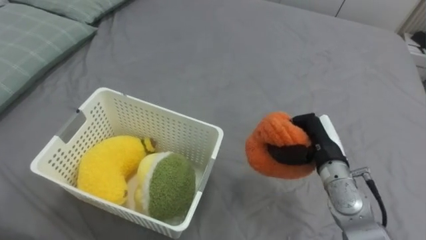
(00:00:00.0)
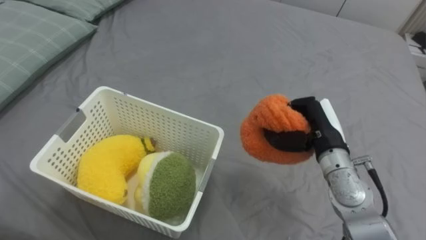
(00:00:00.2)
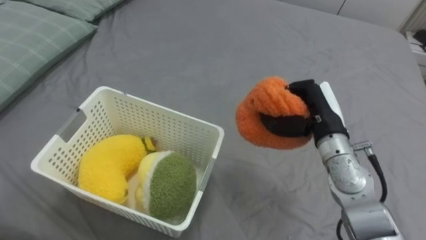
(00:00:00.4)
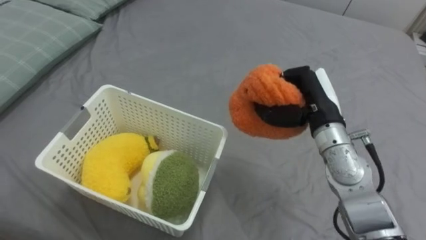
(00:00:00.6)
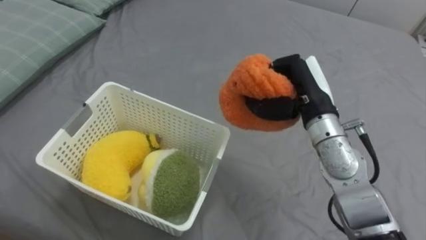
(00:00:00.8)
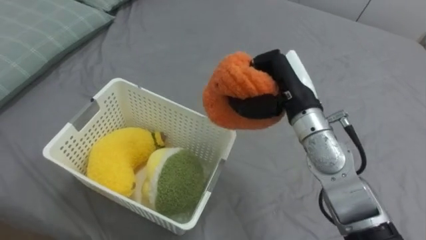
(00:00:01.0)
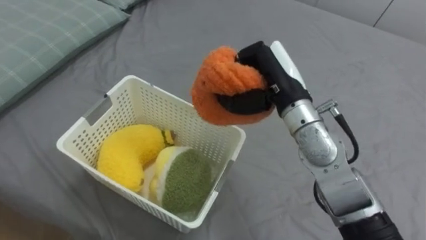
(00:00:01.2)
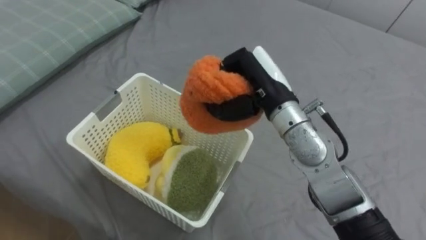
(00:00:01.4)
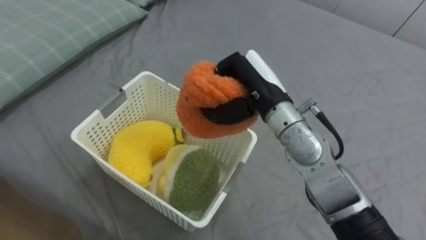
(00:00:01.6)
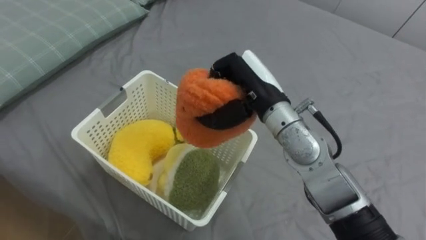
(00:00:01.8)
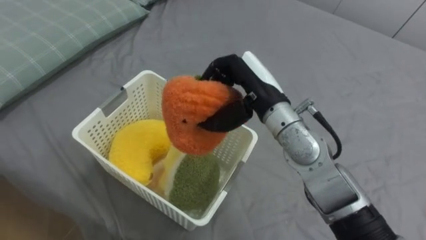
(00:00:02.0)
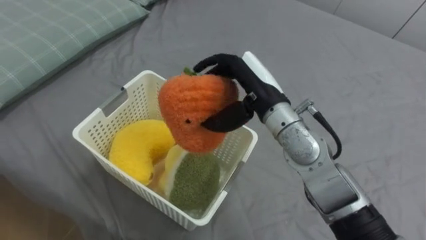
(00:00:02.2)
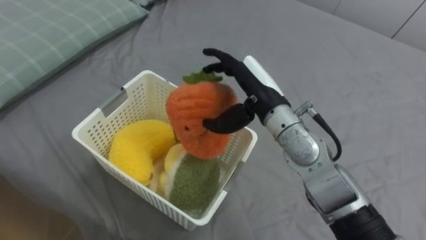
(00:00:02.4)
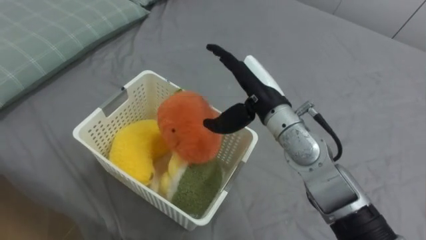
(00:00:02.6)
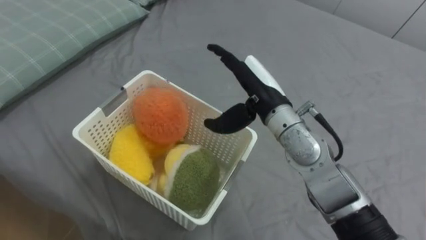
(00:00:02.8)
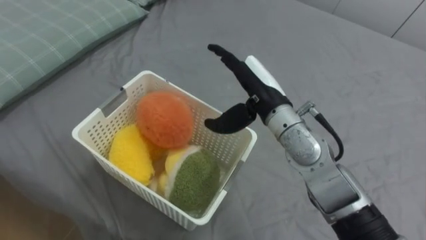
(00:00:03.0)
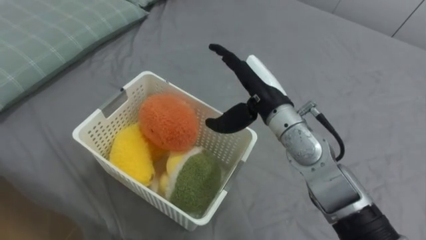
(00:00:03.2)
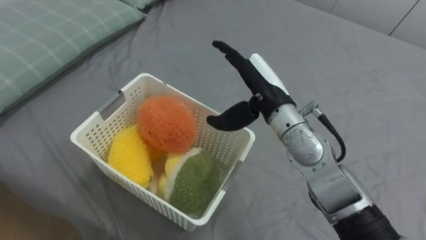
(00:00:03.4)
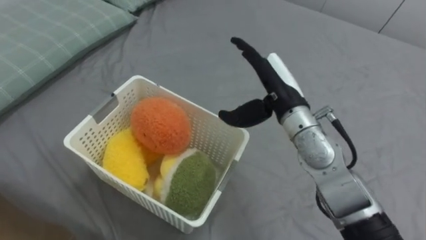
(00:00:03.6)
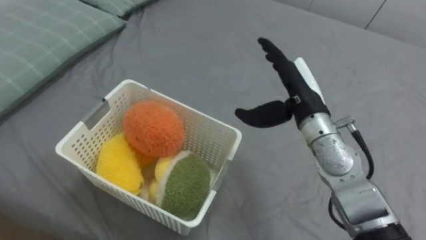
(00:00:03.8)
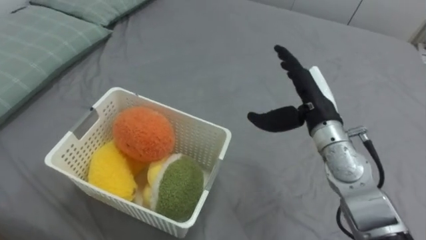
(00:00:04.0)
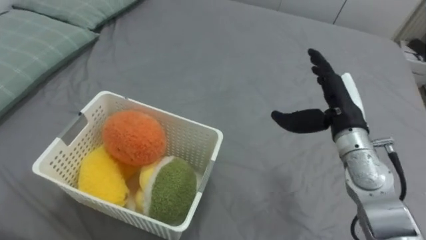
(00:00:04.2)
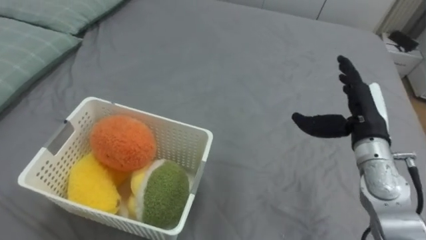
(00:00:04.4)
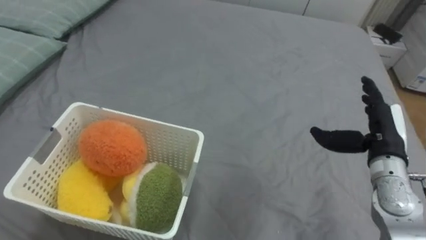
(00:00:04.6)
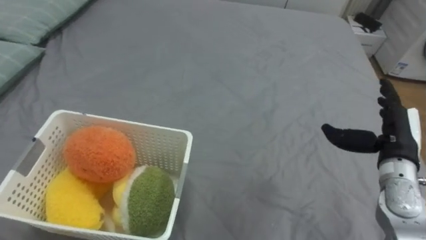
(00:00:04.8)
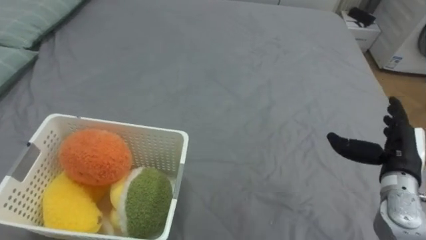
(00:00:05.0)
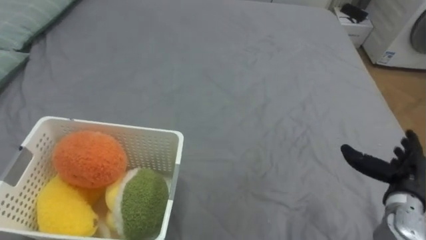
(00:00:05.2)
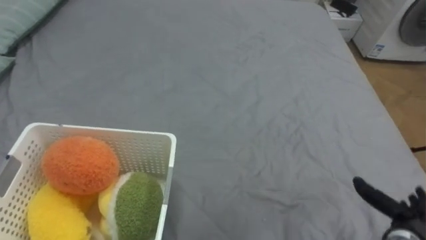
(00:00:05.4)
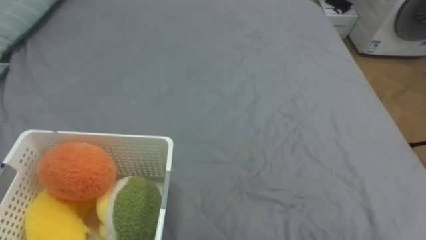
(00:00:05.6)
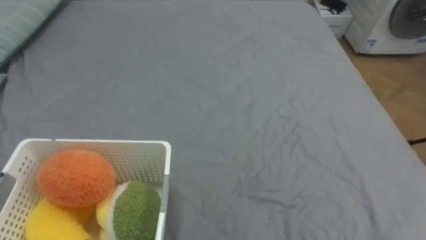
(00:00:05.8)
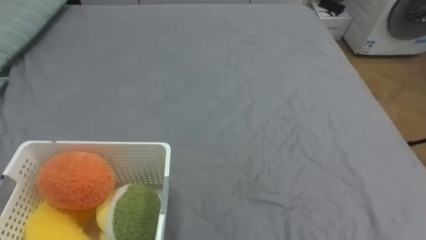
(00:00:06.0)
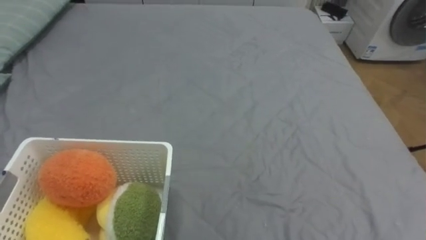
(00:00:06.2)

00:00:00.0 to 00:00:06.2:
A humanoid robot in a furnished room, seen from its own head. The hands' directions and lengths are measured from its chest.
Task of the whole recording: Put the toys on the bed into the basket on the left.
00:00:00.0 to 00:00:01.6: The right hand travels to the left and upward by some 20 cm.
00:00:01.6 to 00:00:03.2: The right hand opens its fingers.
00:00:03.2 to 00:00:04.6: The right hand goes approximately 20 cm to the right.

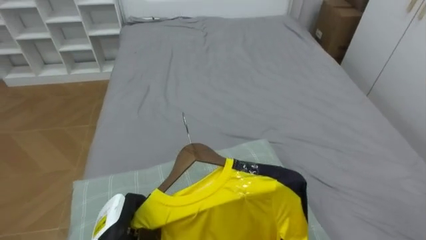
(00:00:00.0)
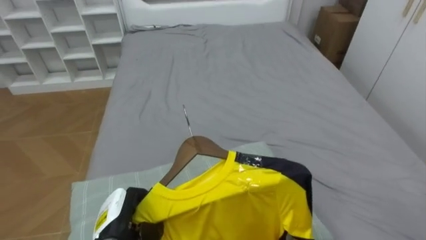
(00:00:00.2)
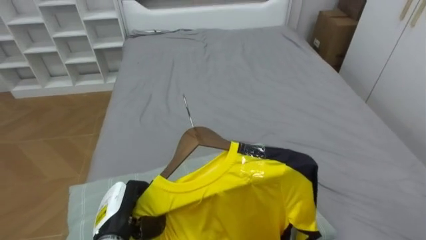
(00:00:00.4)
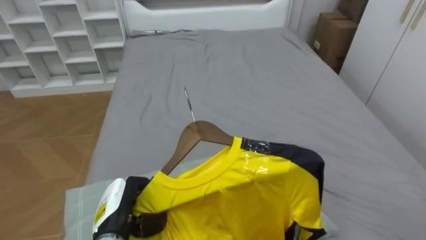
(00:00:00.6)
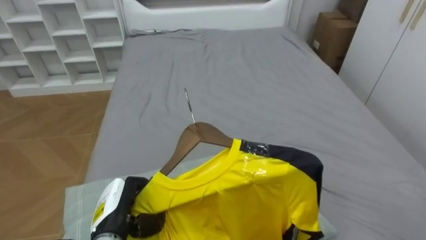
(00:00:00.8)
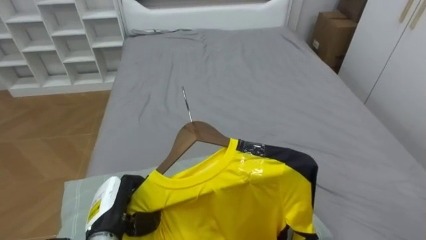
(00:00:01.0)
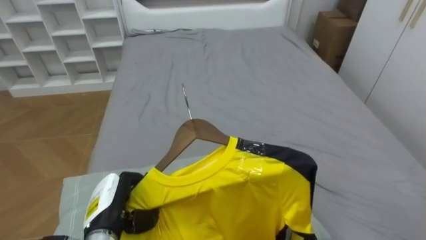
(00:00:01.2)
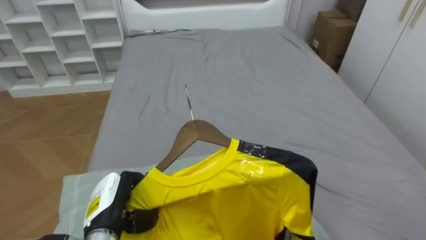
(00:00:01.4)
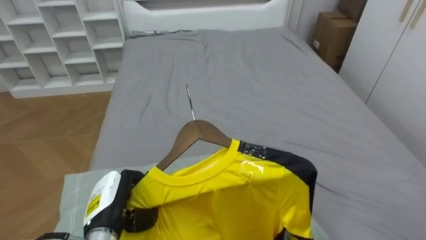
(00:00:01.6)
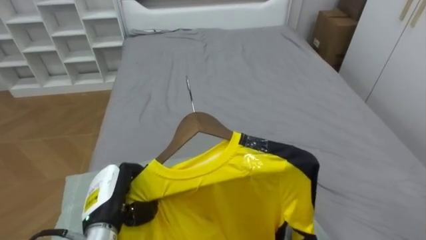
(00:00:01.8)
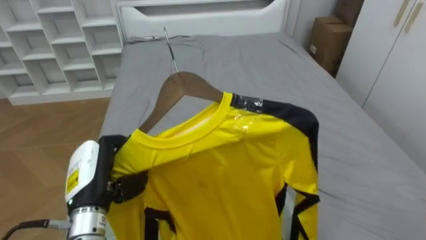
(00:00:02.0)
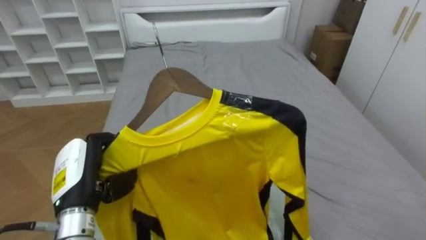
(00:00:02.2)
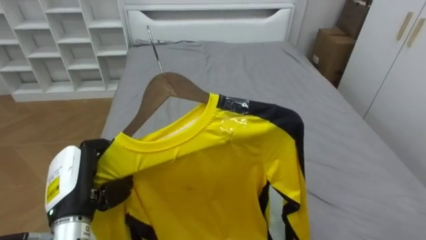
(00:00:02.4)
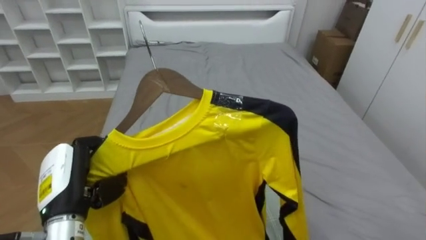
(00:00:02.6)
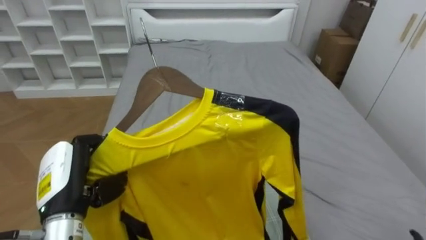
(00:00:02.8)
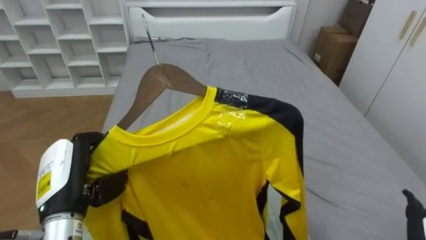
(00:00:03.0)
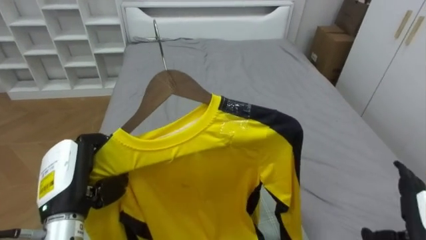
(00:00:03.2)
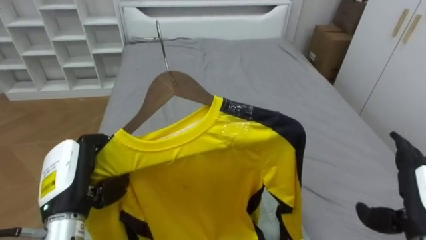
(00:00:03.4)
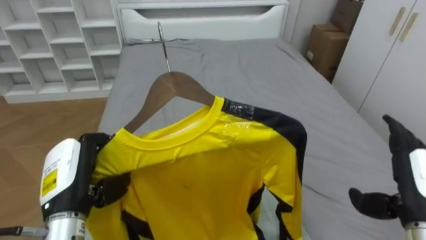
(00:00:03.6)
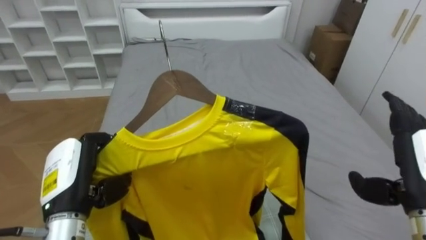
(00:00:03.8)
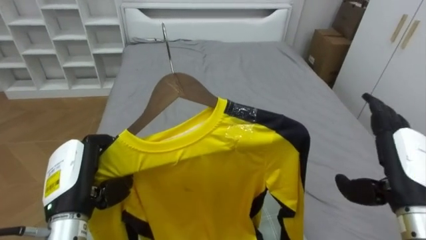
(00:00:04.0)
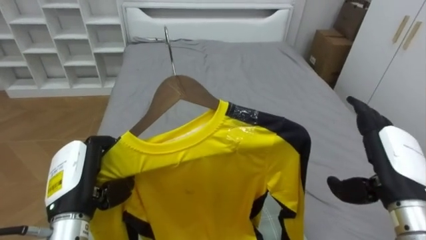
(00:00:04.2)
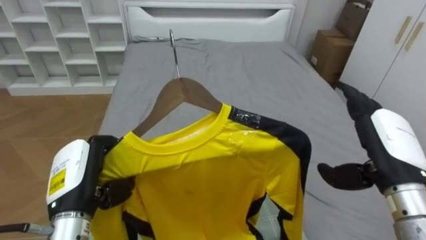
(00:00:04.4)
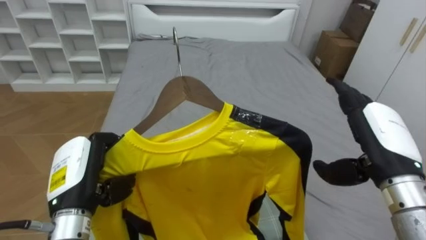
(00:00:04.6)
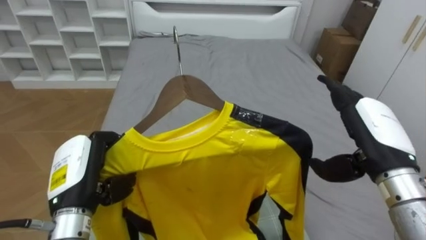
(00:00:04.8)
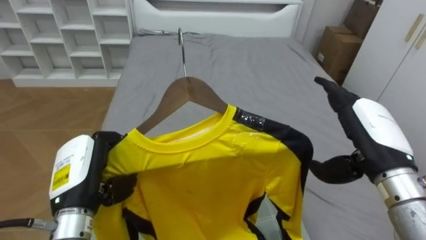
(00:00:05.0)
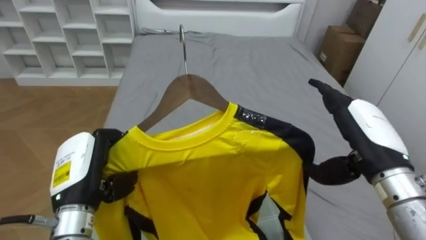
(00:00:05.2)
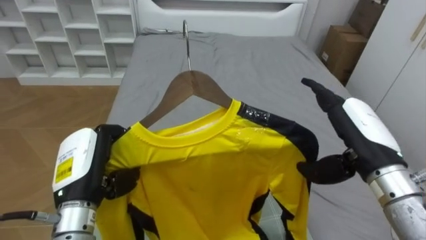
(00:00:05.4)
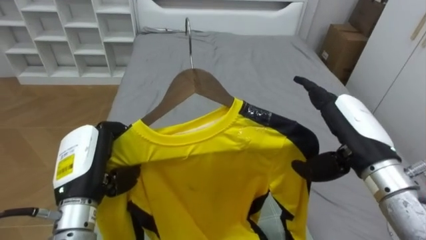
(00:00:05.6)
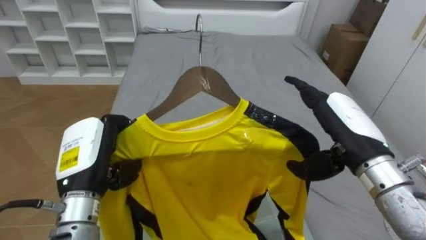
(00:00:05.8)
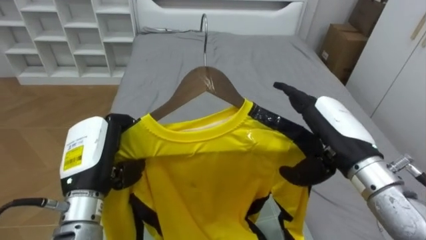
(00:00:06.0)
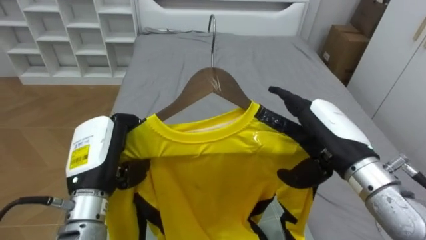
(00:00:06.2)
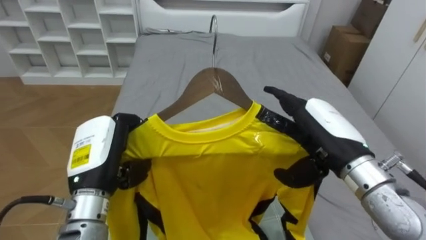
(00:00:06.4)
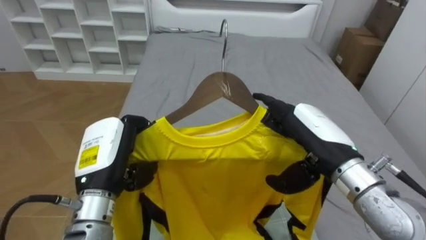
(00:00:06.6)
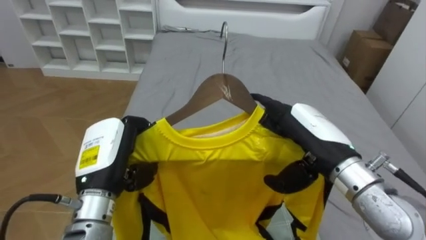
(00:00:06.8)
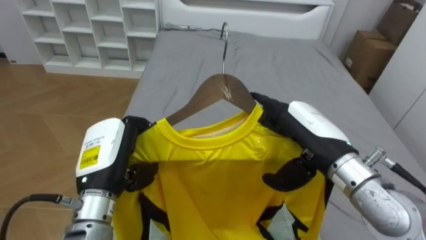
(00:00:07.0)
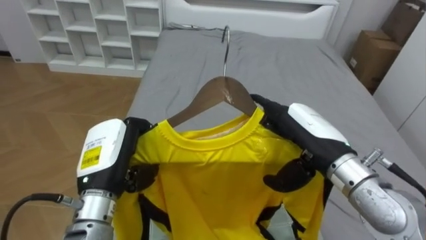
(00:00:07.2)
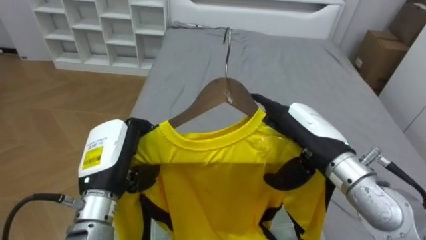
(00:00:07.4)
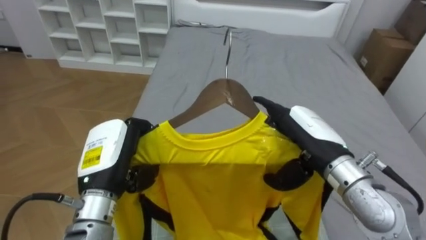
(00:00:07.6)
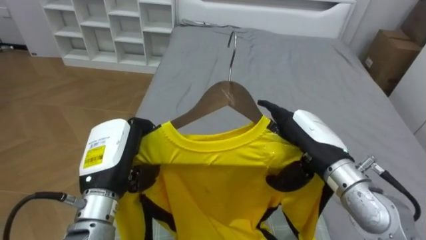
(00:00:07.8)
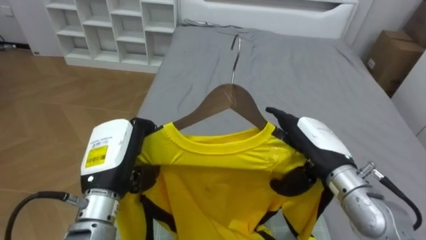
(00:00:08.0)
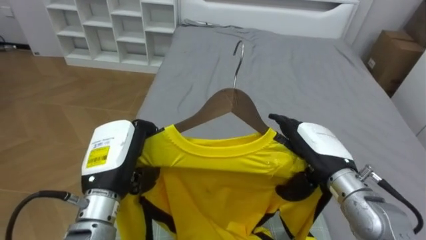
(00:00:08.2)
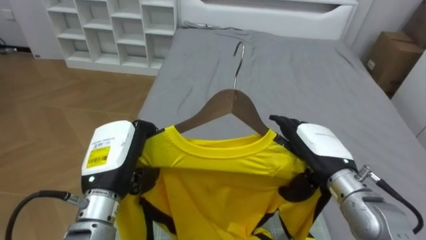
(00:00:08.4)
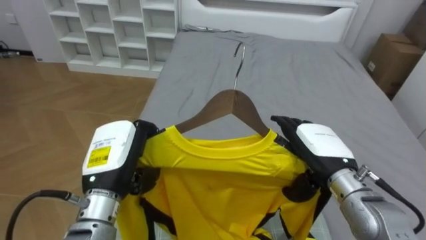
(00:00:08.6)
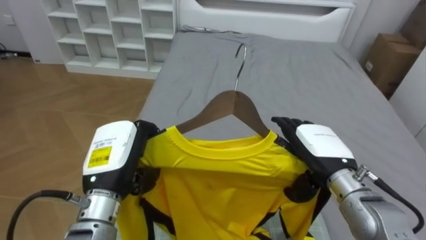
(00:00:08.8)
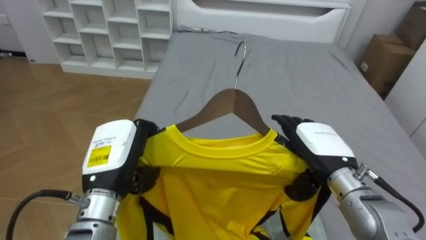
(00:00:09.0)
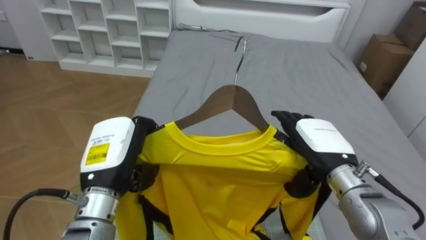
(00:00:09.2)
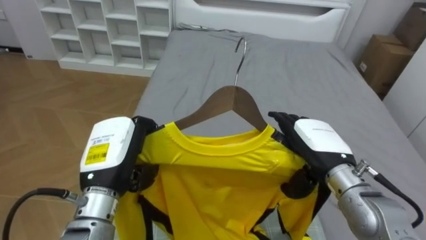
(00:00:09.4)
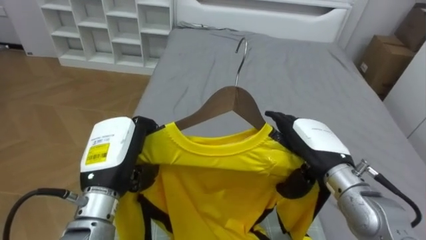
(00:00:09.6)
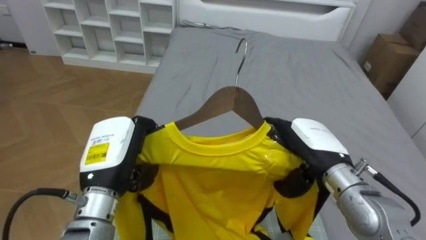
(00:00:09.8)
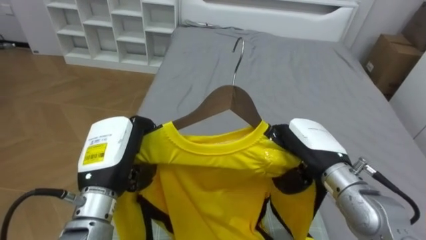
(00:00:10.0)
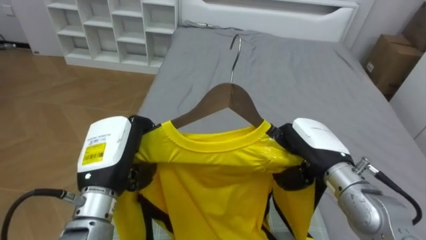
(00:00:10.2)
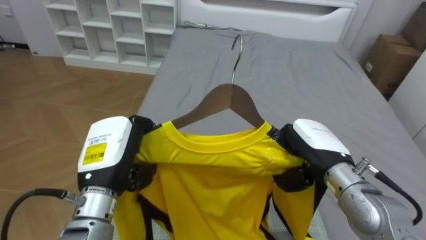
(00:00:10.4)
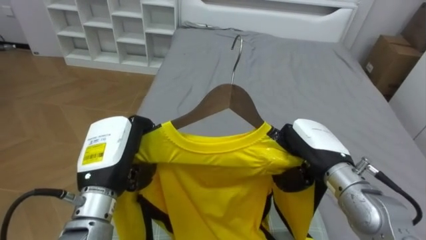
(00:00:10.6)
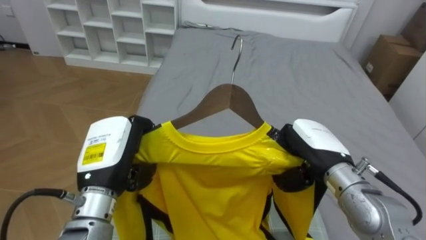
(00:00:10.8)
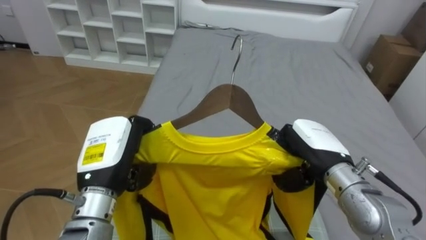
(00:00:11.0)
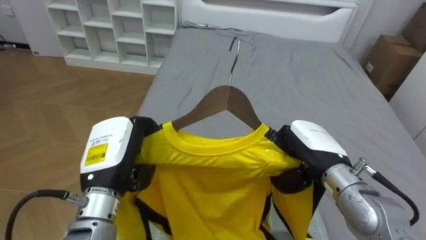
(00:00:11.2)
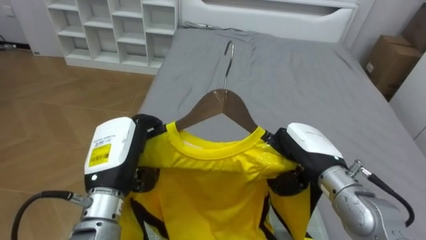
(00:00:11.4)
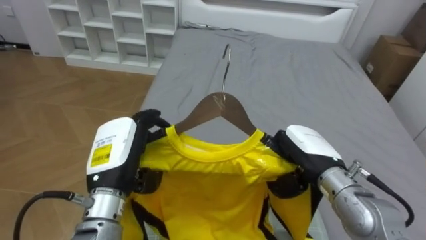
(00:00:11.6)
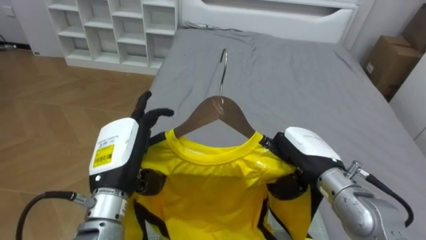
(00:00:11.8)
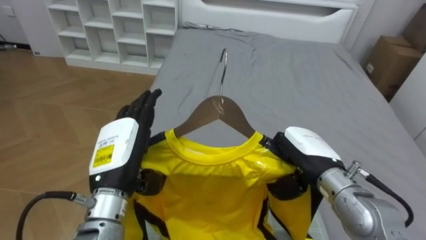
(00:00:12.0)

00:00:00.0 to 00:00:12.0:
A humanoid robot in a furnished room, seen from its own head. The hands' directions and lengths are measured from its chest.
Task of the whole recording: Pick up the yellow shirt on the bed and hang it on the clothes rack on the right.
00:00:00.0 to 00:00:01.6: The left hand shifts some 5 cm upward.
00:00:01.6 to 00:00:03.0: The left hand is displaced upward by some 10 cm.
00:00:04.4 to 00:00:06.0: The right hand travels to the left by about 5 cm.
00:00:07.6 to 00:00:09.0: The right hand shifts by about 5 cm.
00:00:09.0 to 00:00:10.4: The right hand closes.
00:00:10.4 to 00:00:12.0: The left hand opens.
